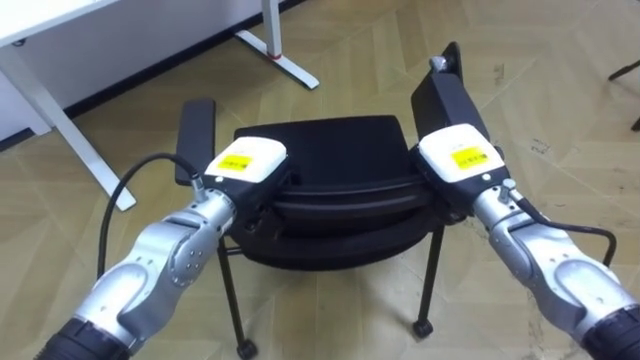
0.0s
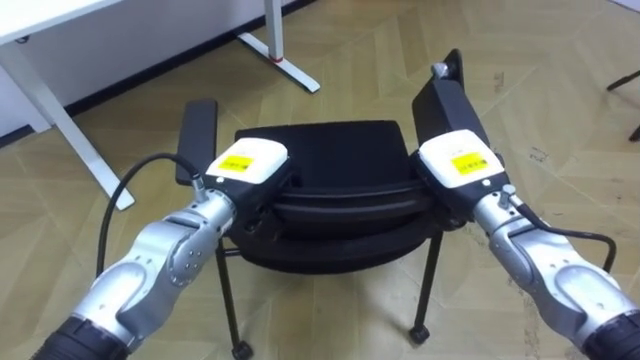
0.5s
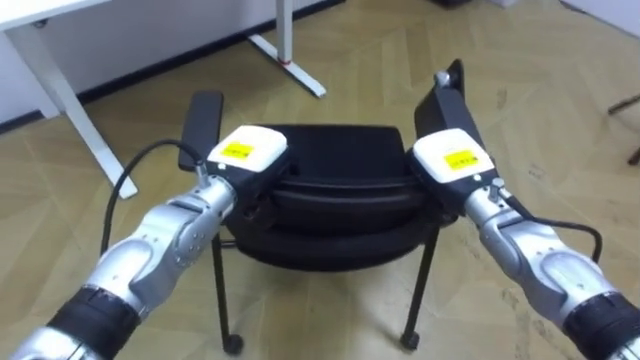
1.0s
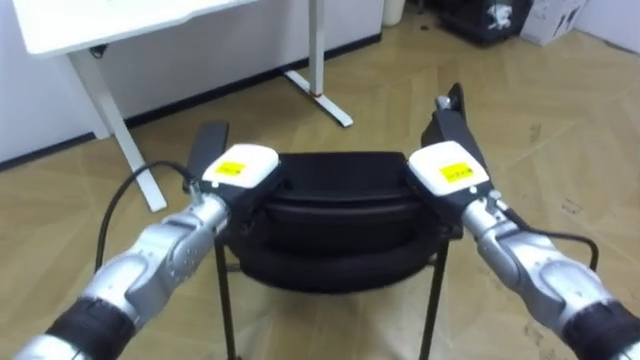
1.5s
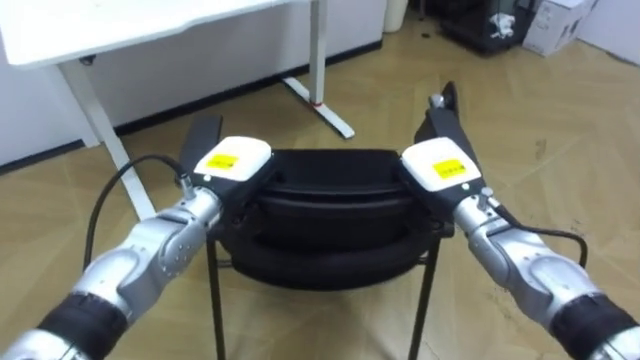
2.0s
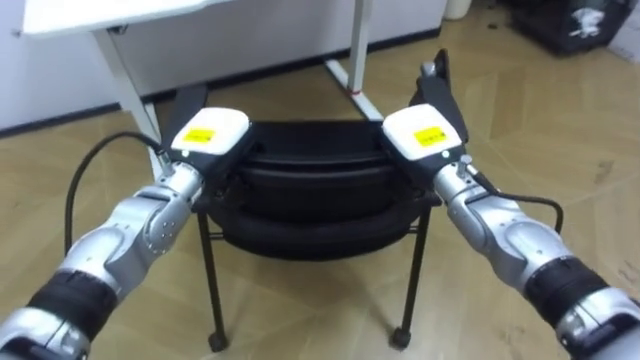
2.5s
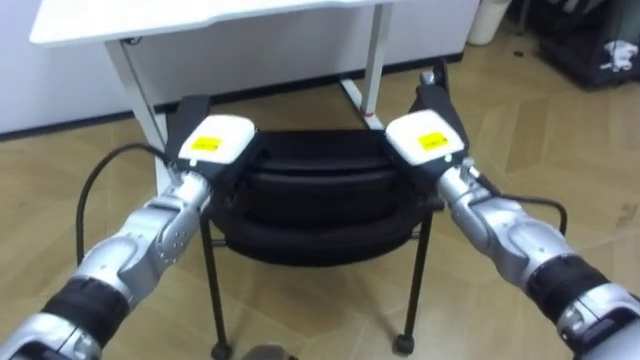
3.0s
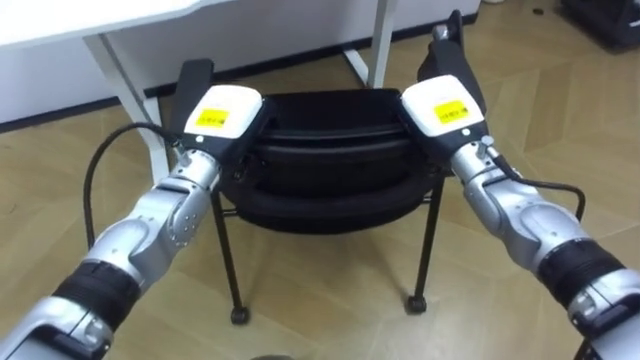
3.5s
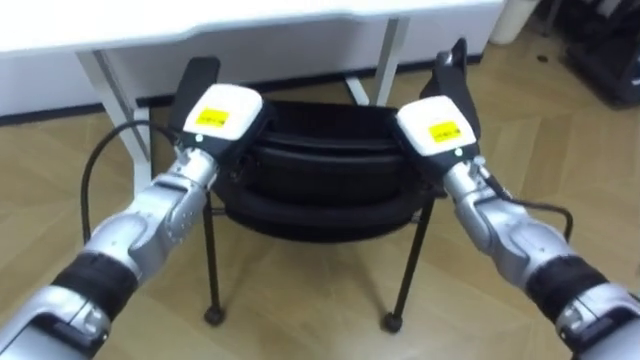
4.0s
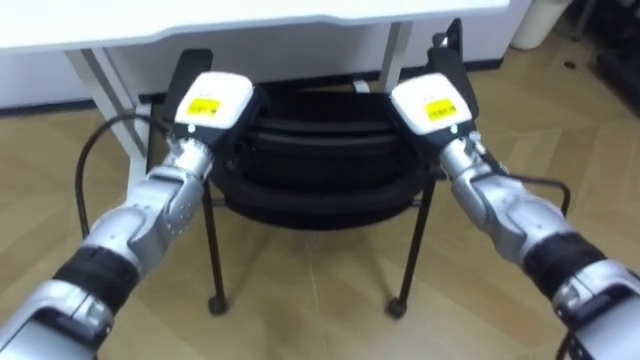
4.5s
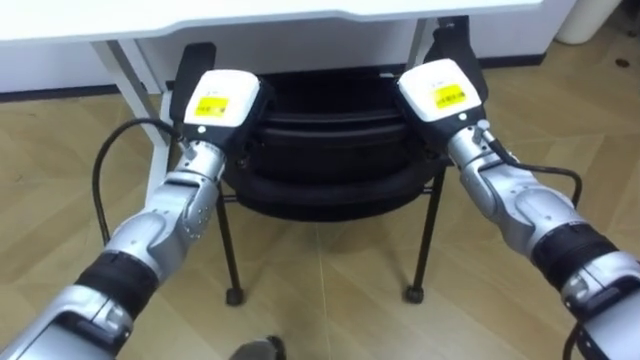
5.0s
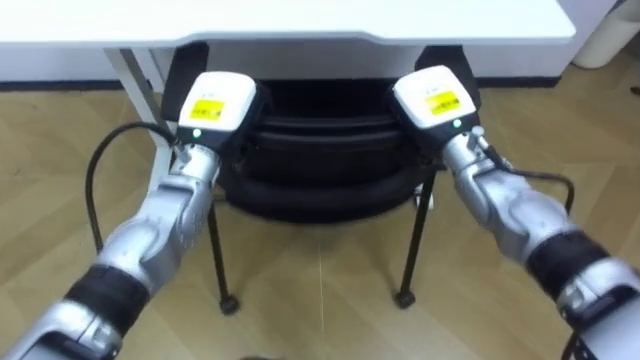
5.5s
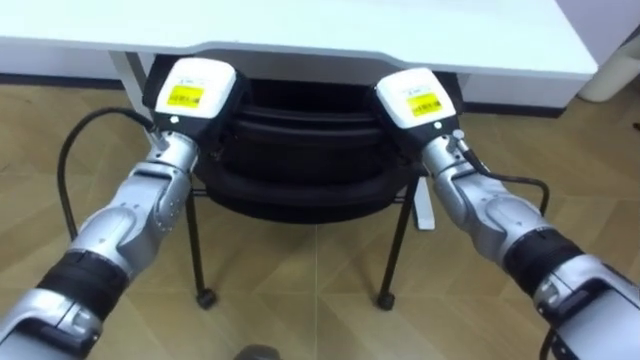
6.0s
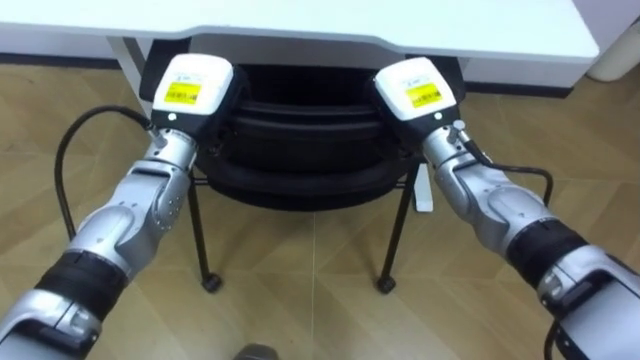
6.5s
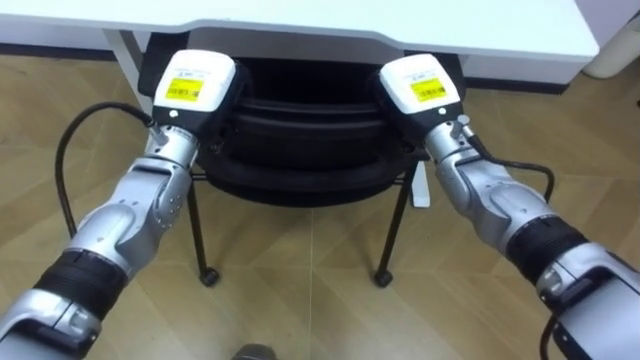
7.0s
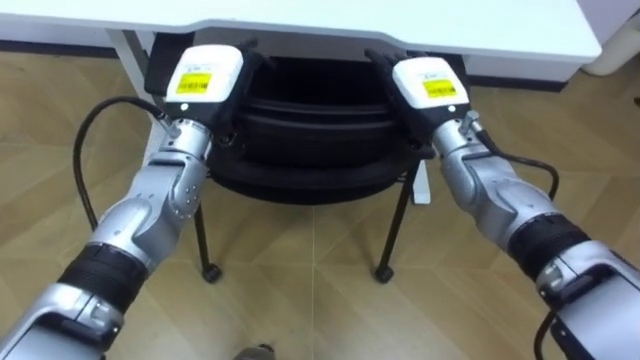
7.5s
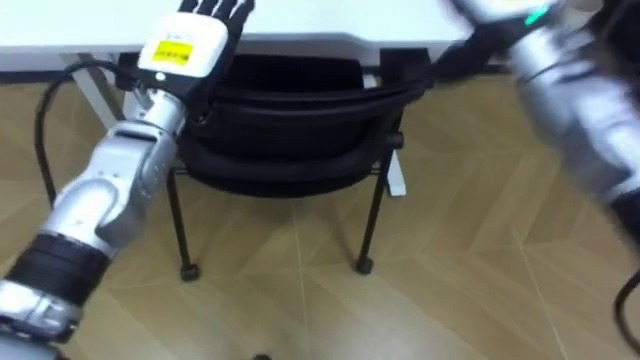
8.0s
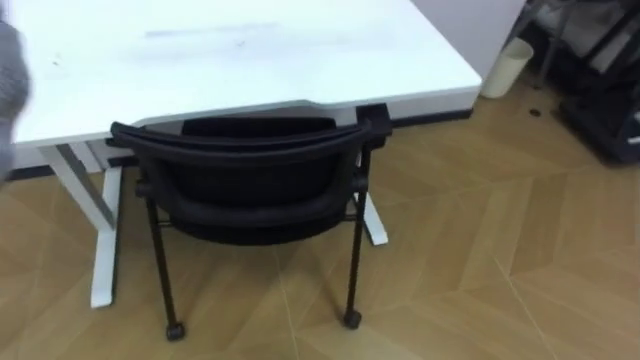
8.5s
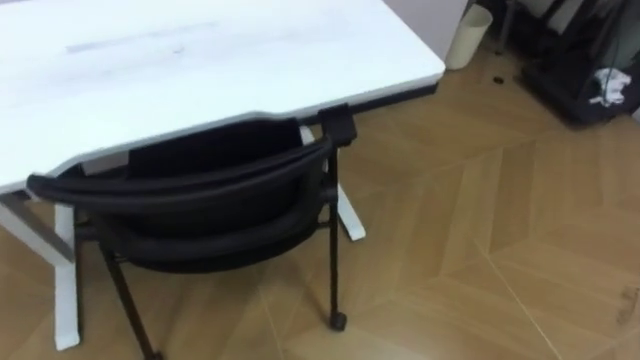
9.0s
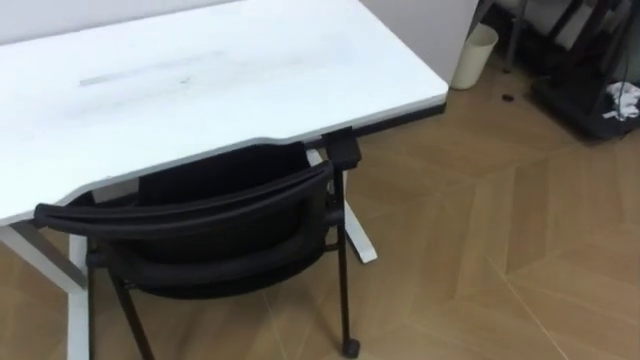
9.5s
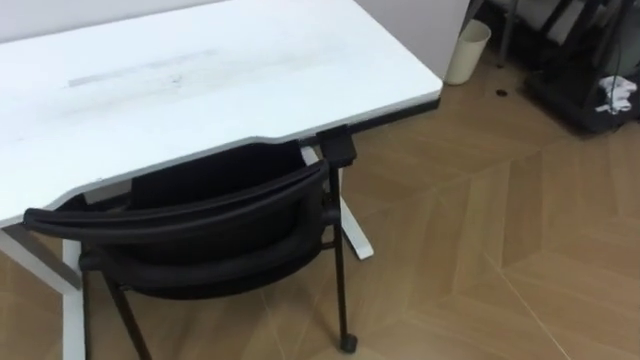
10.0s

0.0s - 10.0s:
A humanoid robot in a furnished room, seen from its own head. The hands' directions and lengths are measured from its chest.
Task of the whole recording: Push the chair under the table.
2.0s - 4.0s: The robot rotates approximately 15 degrees to its left. The right hand shifts by approximately 5 cm, while the left hand moves upward, some 5 cm.
6.0s - 8.0s: The left hand is displaced upward by about 5 cm, and opens up. Meanwhile the right hand moves upward and to the right, some 15 cm, and opens.

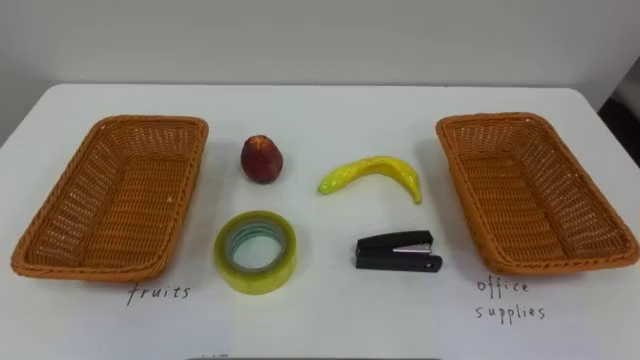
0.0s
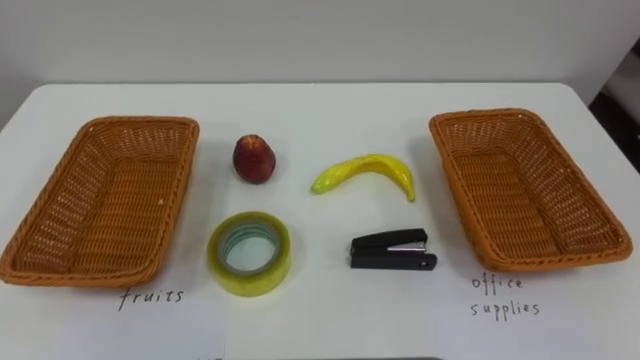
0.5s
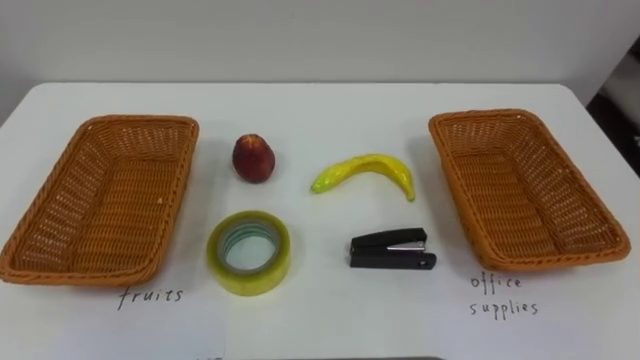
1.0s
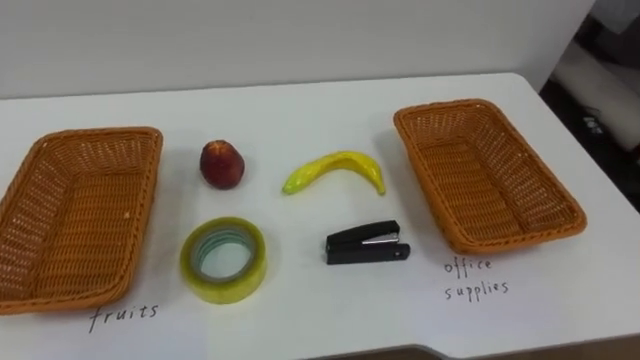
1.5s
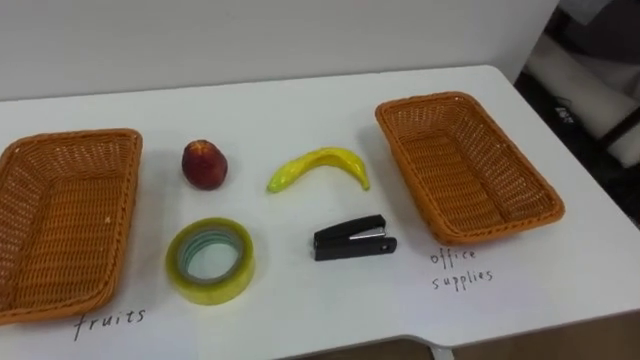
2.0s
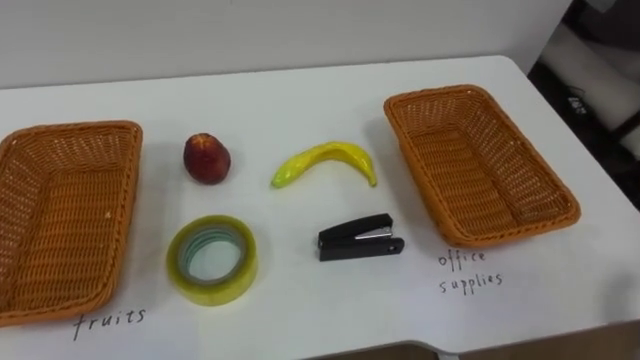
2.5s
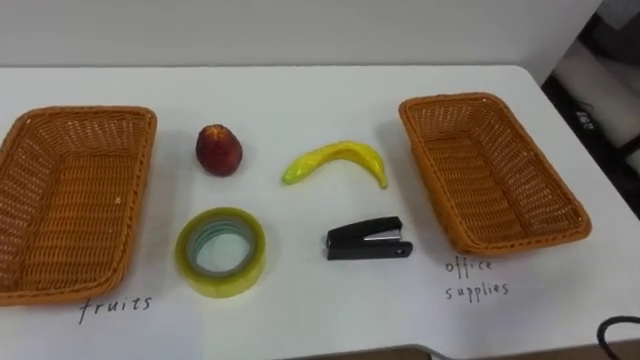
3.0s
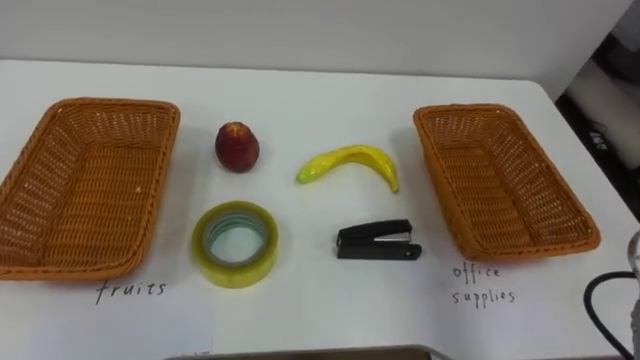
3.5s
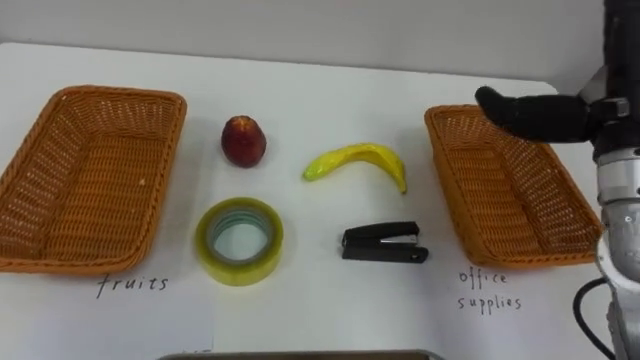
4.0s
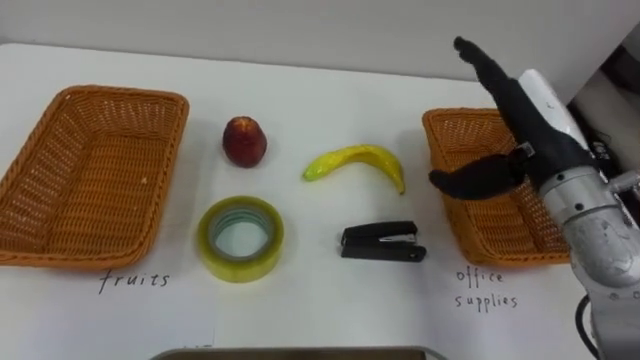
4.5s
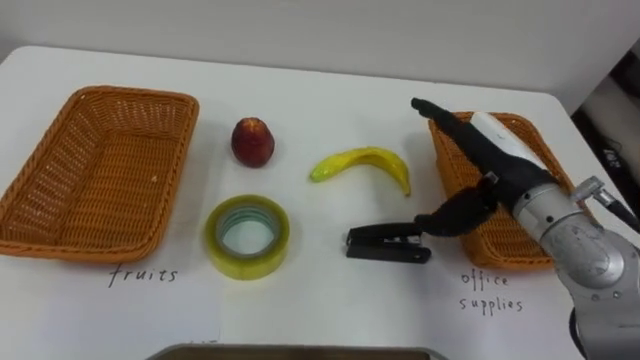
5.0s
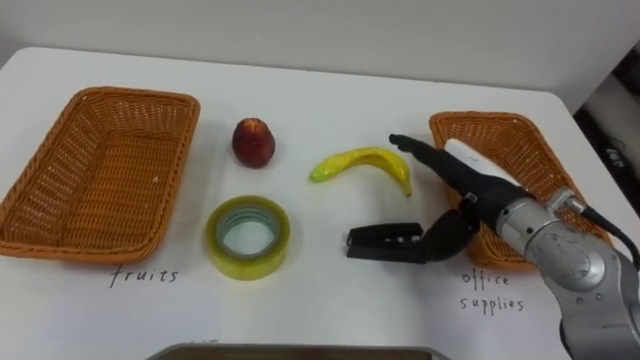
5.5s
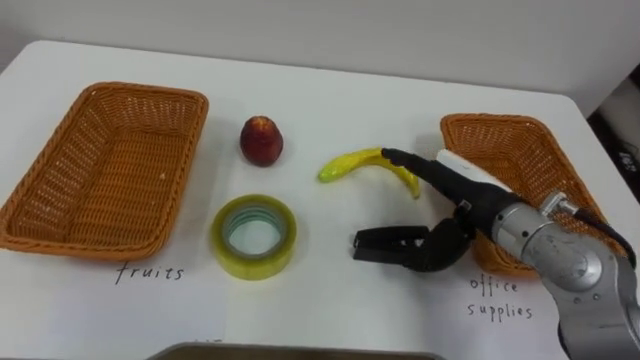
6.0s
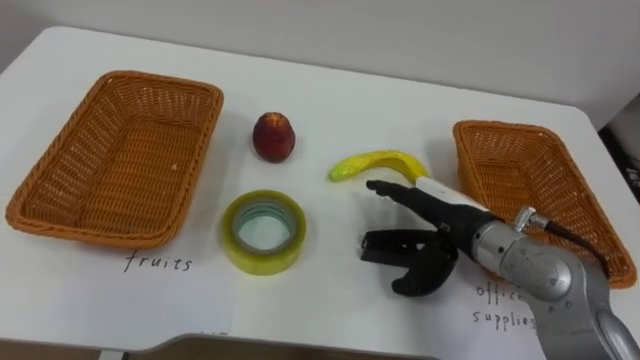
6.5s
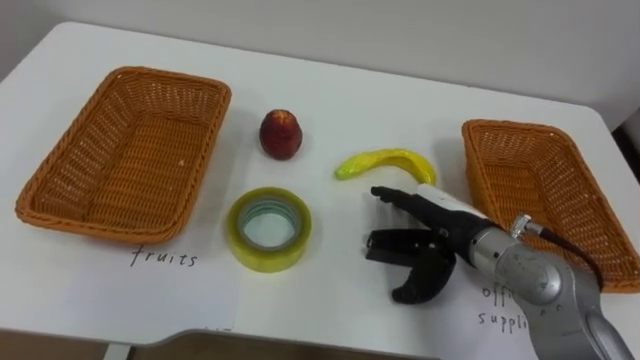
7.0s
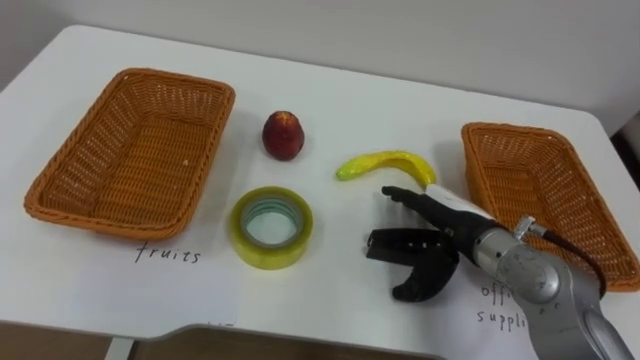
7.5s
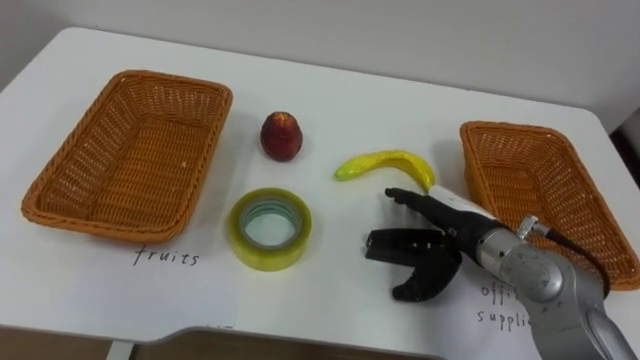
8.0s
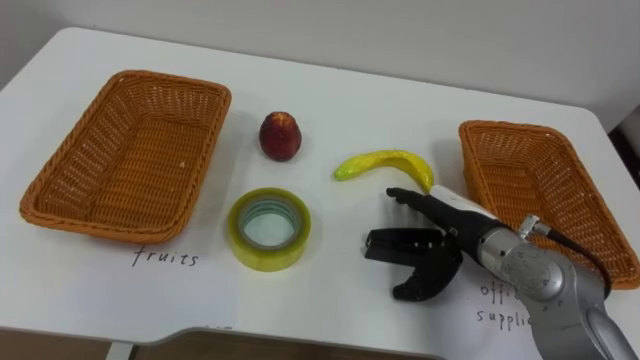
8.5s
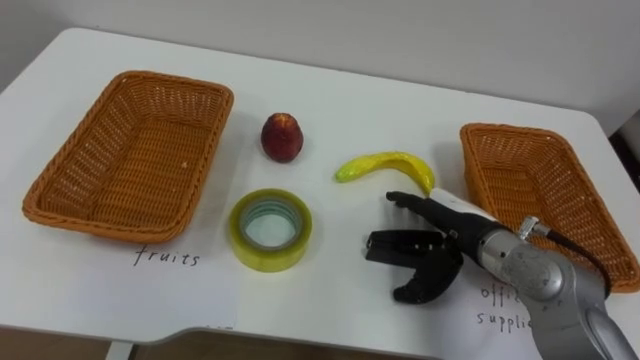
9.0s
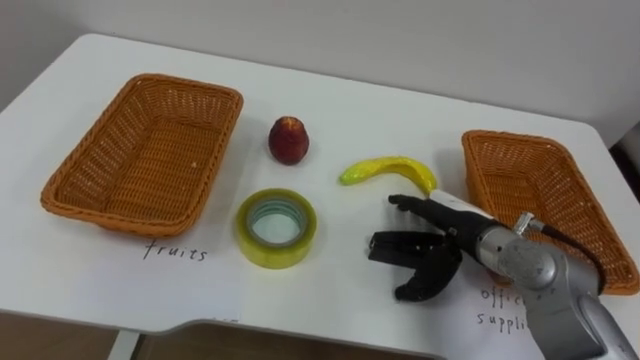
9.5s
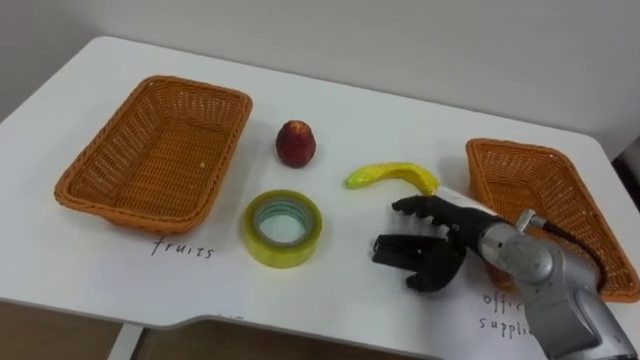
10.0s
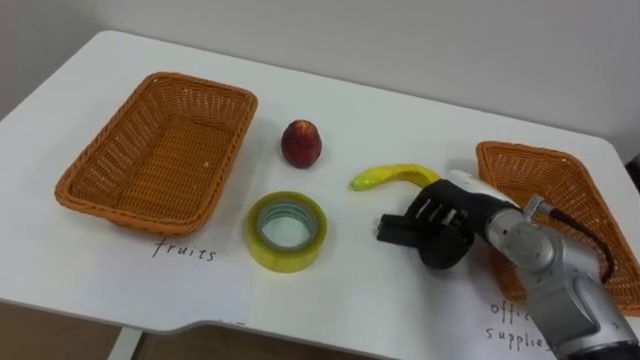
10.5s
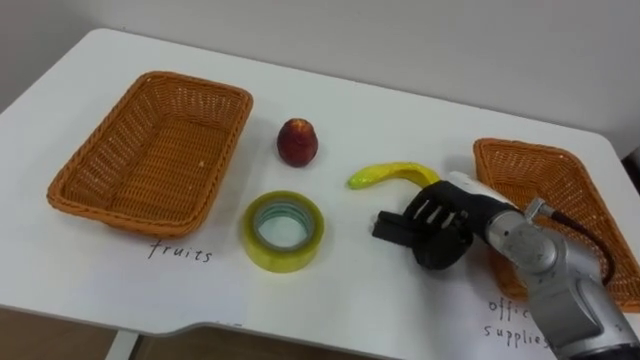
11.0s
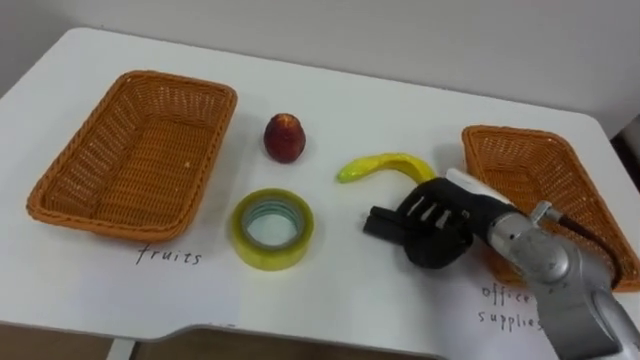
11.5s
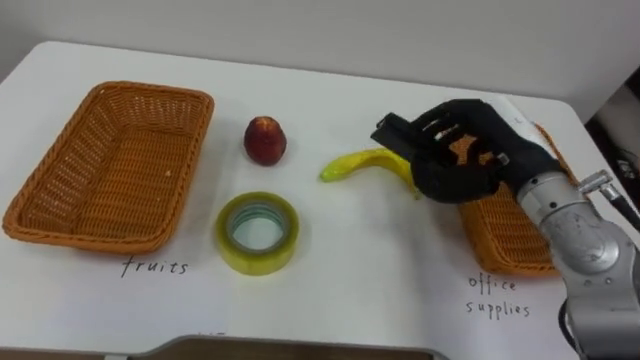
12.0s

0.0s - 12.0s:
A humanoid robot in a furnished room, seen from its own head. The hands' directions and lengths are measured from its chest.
Task of the whole recording: Separate the items on the table and place them into the two baskets.
4.0s - 6.0s: The right hand is displaced downward and to the left by about 15 cm.
6.0s - 8.0s: The right hand goes some 5 cm downward.
10.0s - 12.0s: The right hand travels upward by approximately 10 cm, and closes its fingers.
